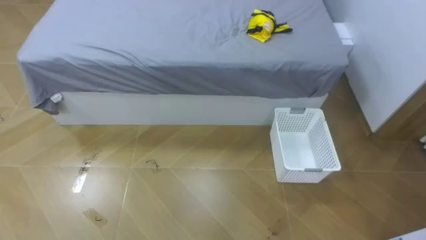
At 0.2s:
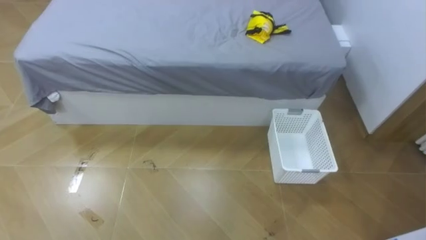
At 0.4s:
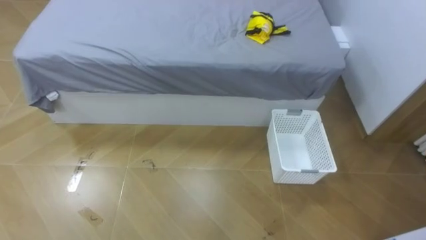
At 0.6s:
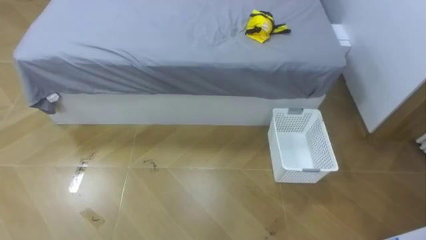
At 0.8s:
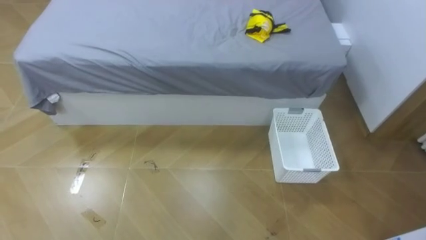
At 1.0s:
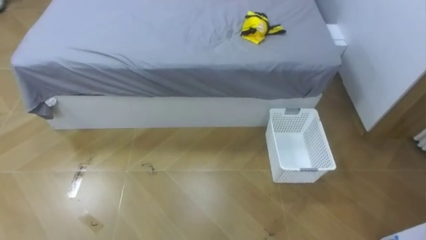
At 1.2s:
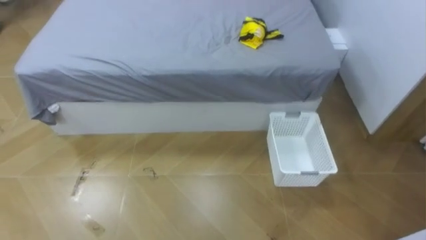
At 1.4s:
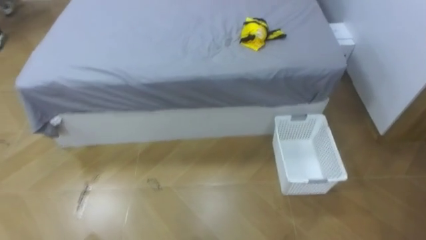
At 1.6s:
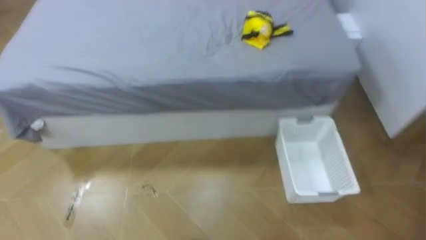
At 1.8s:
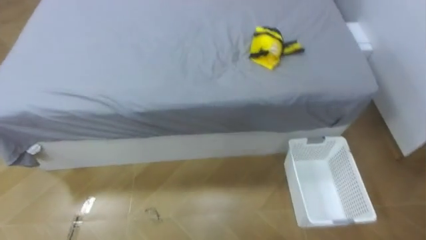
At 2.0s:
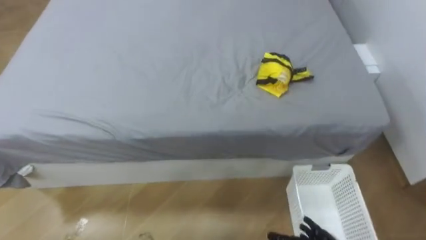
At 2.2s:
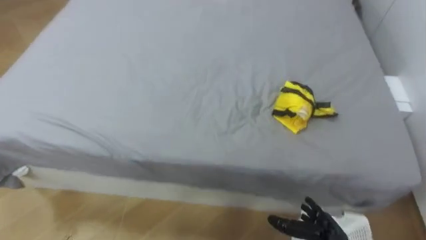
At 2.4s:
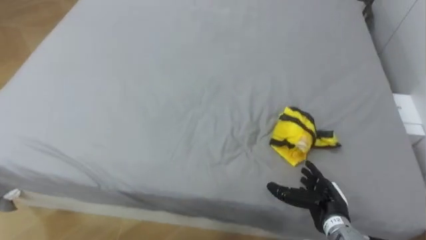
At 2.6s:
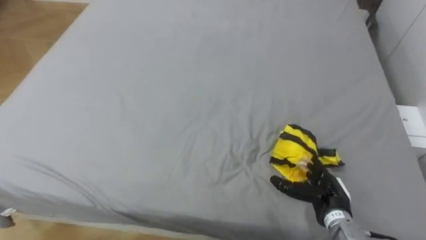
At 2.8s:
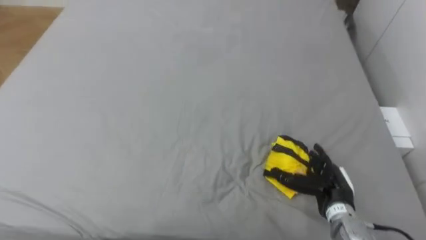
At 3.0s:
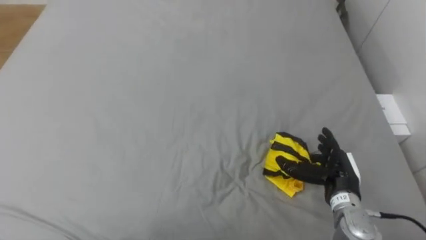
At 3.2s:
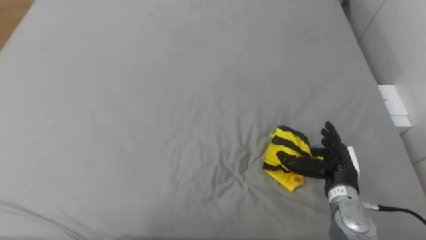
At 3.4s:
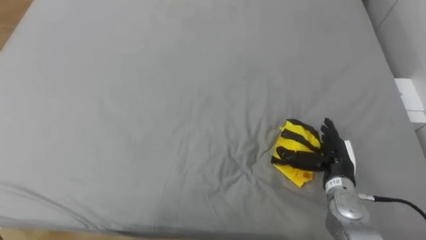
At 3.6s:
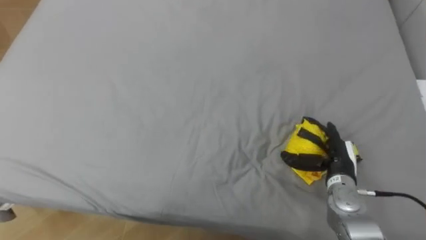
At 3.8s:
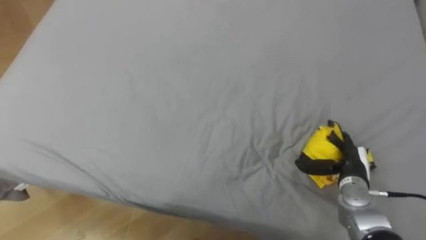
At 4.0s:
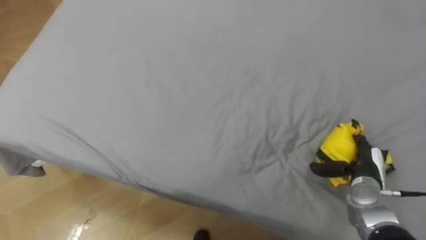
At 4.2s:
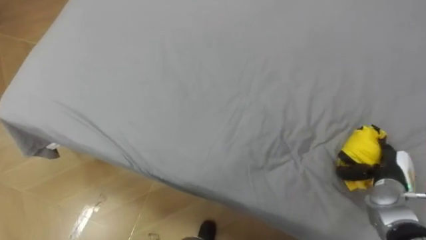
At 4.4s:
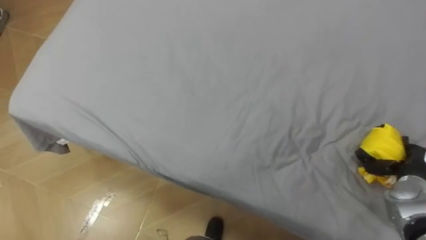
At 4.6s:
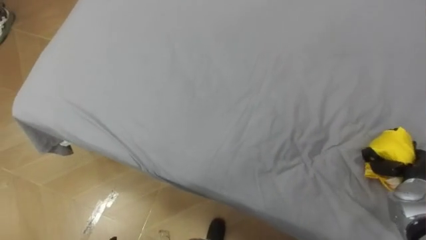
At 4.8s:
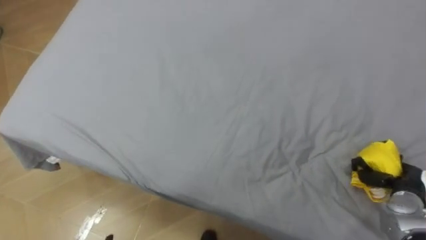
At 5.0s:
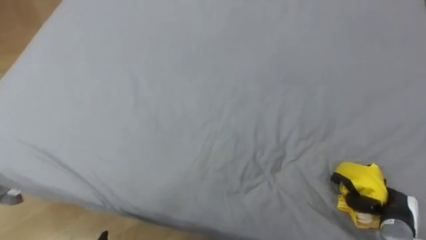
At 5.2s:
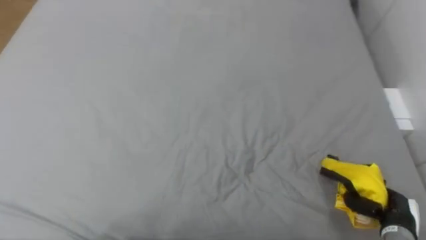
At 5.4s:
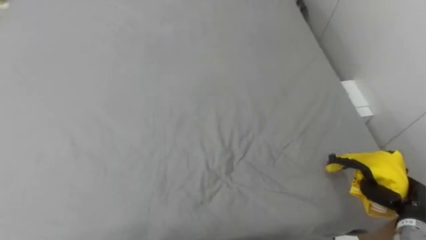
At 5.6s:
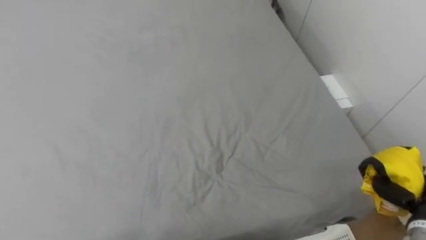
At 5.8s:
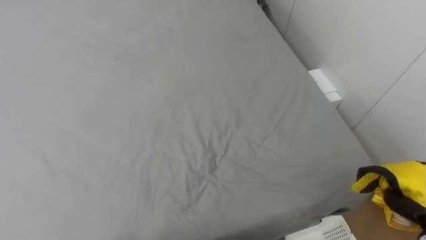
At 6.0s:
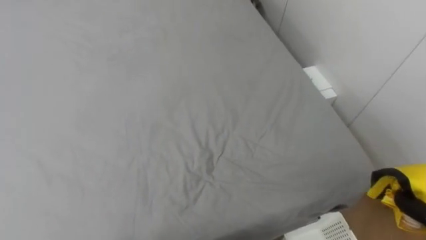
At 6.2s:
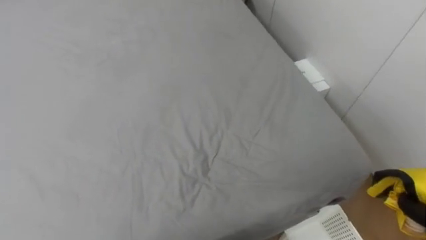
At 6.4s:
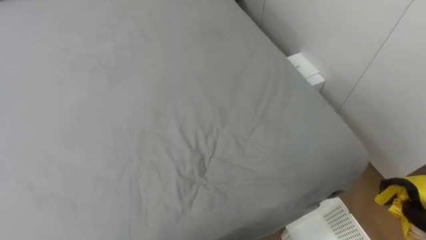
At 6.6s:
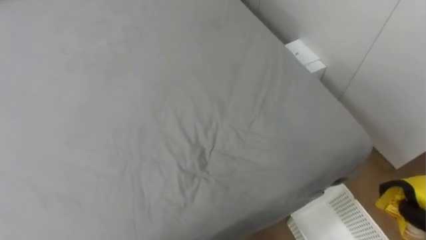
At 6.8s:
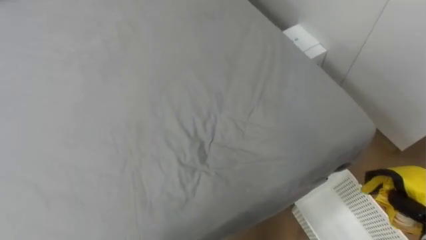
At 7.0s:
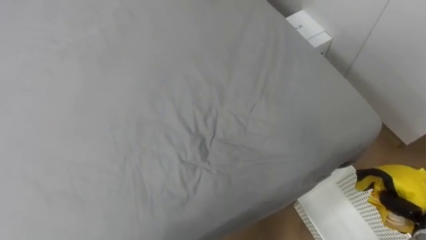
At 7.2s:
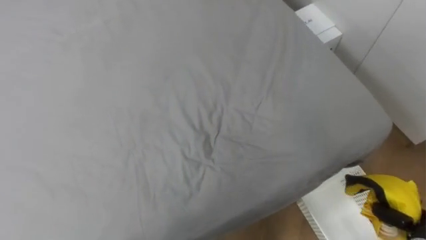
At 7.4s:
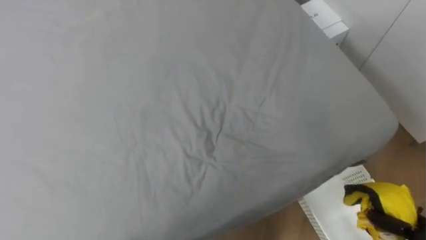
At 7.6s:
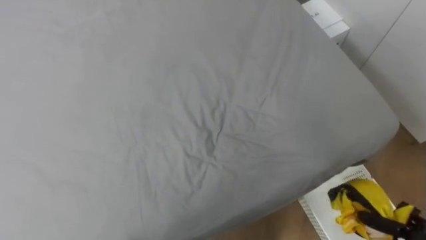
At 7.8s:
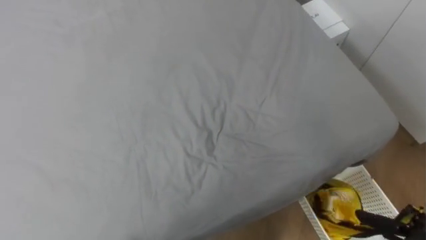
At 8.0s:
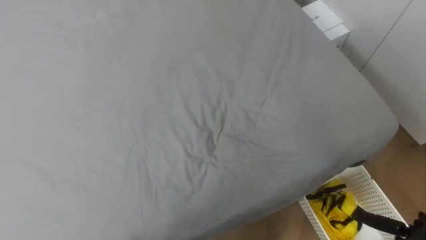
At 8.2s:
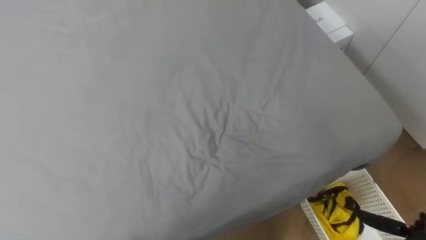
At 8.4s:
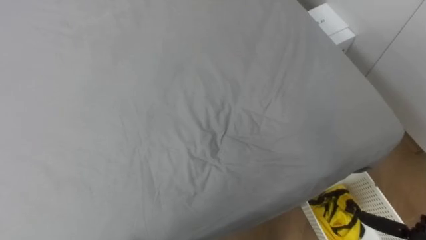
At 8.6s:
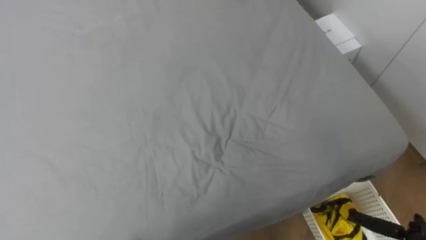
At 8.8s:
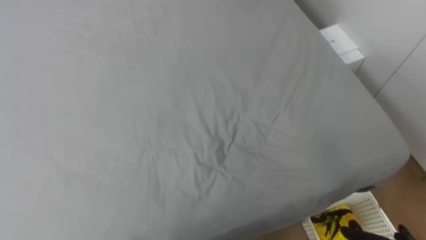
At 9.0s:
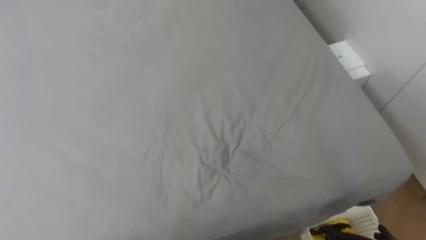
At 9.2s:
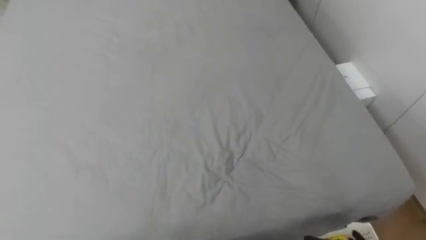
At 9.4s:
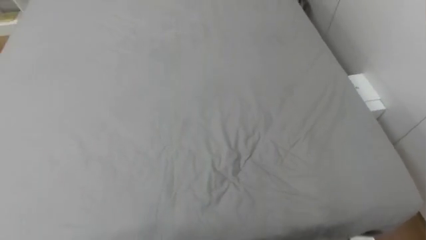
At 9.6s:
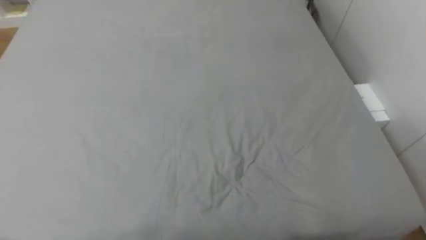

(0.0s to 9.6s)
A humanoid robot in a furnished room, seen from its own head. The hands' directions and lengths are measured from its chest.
Task of the whole recording: Pick up the yellow clothes on the bed and place them into the white basket on the right.
3.2s - 4.8s: The right hand moves to the right, roughly 15 cm, and closes its fingers.

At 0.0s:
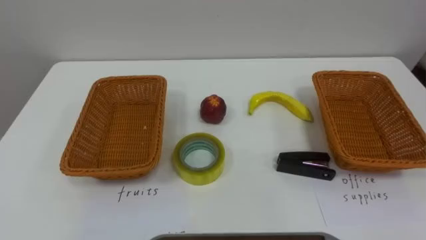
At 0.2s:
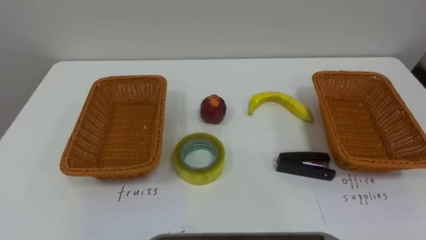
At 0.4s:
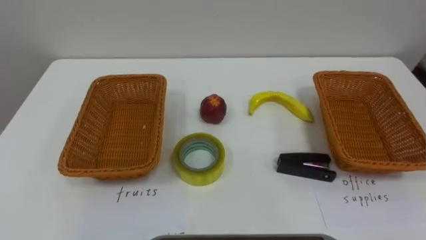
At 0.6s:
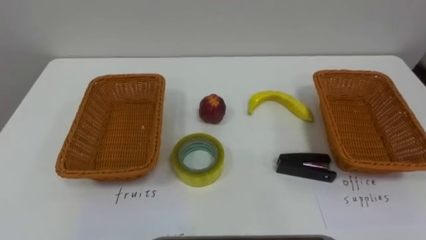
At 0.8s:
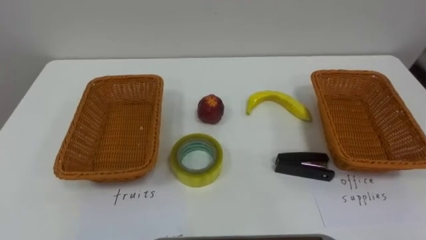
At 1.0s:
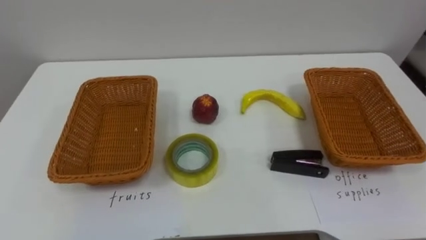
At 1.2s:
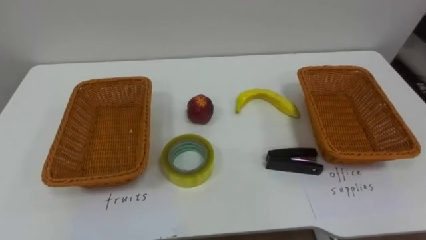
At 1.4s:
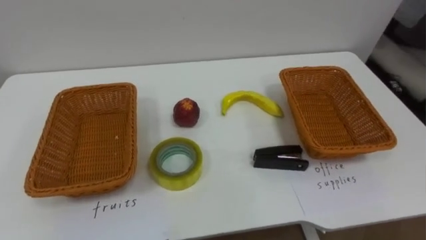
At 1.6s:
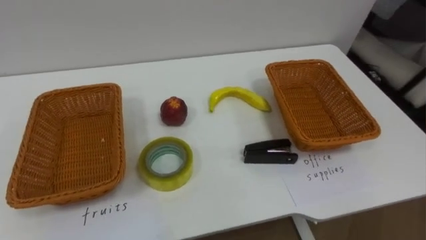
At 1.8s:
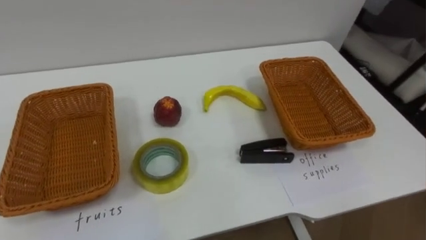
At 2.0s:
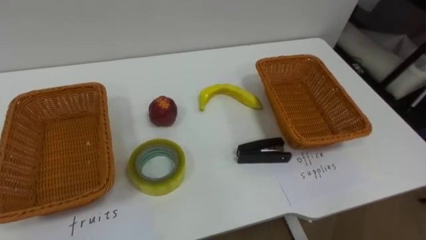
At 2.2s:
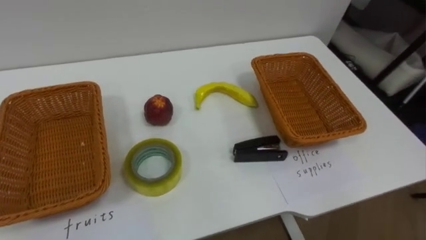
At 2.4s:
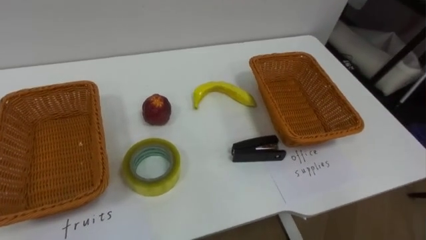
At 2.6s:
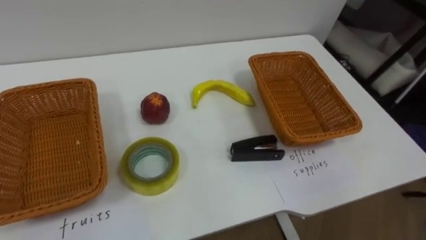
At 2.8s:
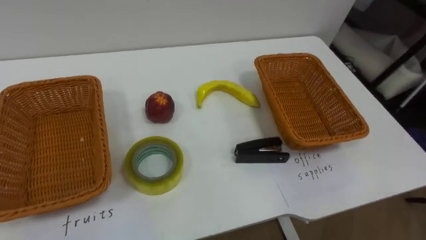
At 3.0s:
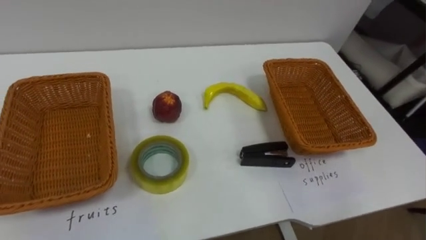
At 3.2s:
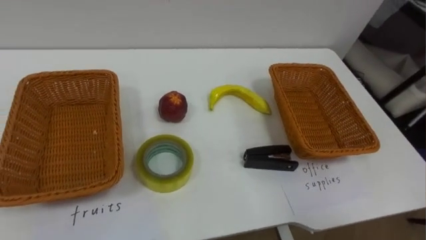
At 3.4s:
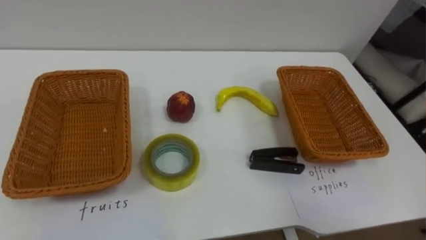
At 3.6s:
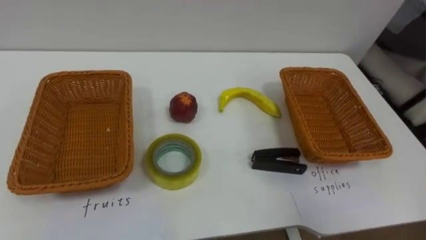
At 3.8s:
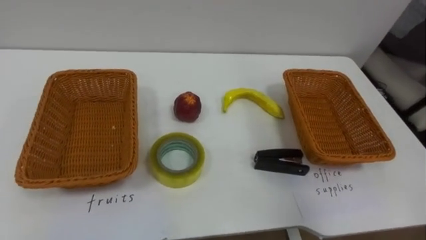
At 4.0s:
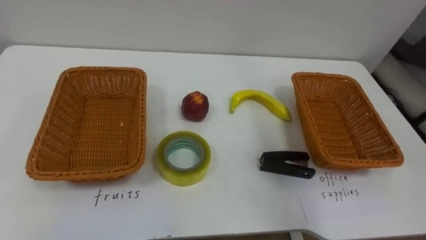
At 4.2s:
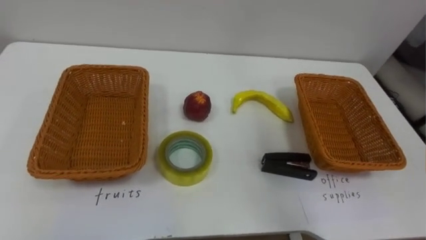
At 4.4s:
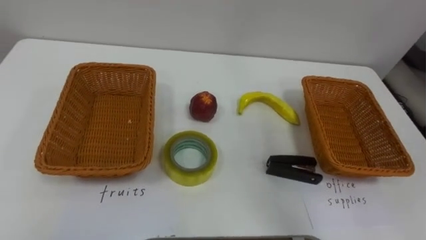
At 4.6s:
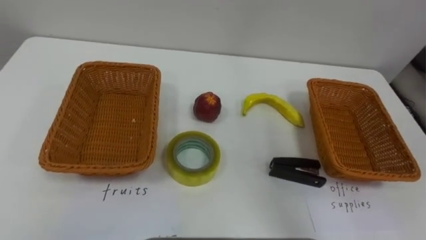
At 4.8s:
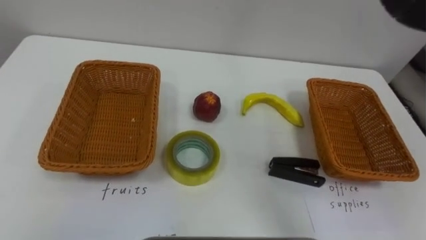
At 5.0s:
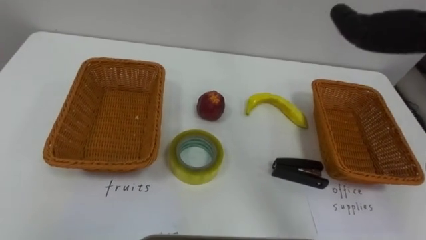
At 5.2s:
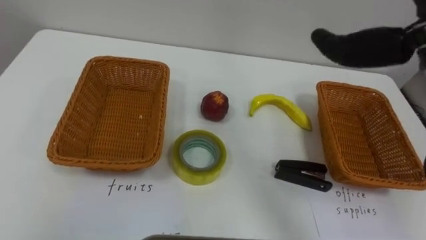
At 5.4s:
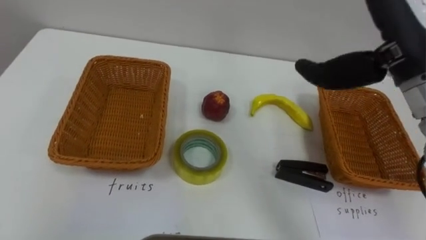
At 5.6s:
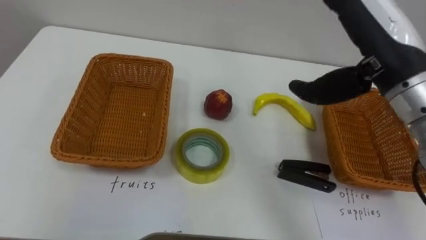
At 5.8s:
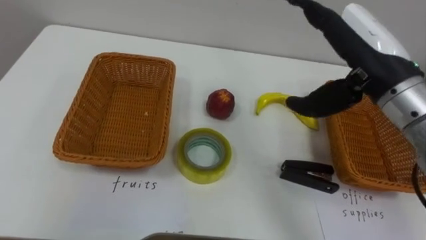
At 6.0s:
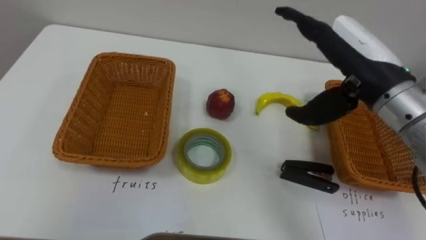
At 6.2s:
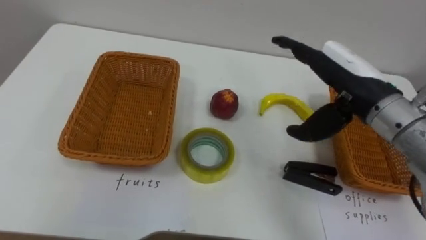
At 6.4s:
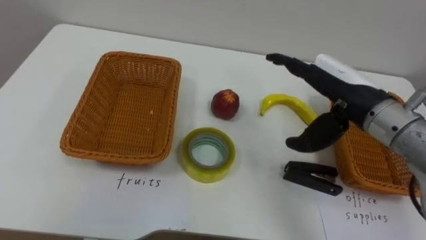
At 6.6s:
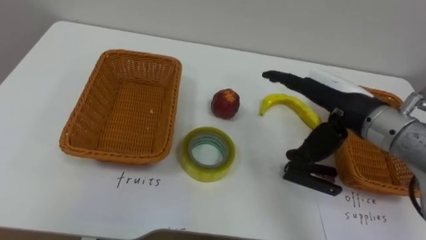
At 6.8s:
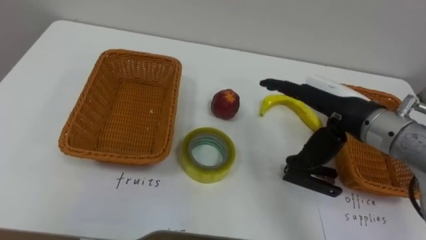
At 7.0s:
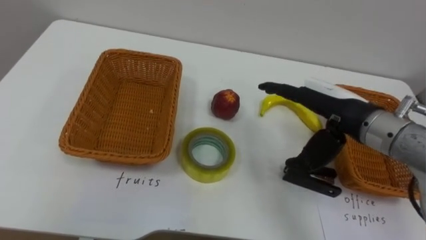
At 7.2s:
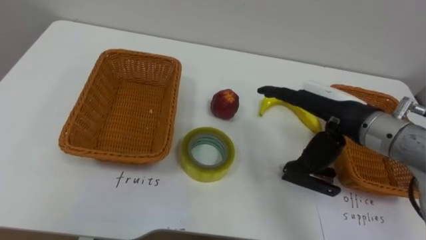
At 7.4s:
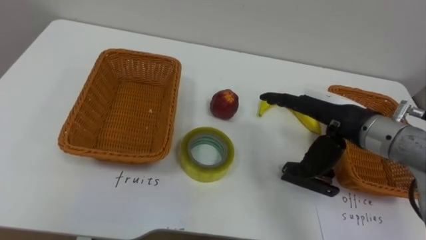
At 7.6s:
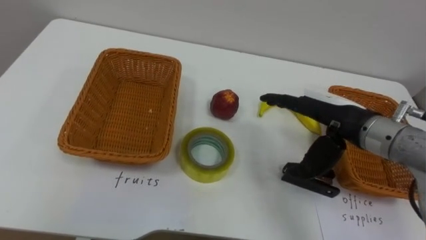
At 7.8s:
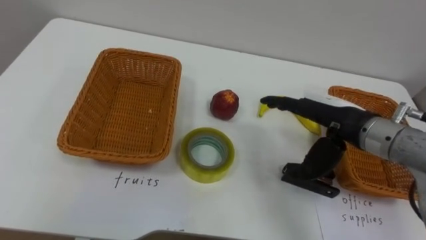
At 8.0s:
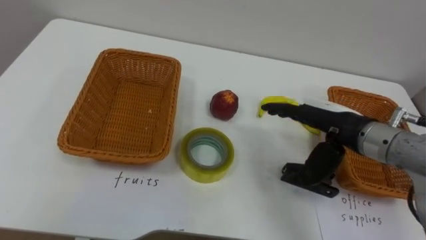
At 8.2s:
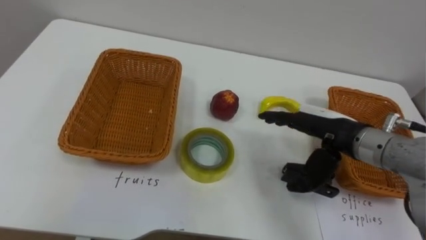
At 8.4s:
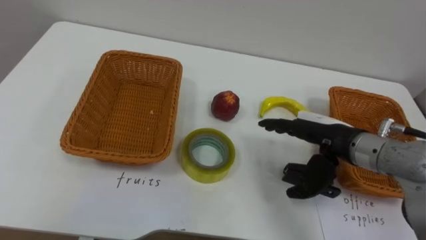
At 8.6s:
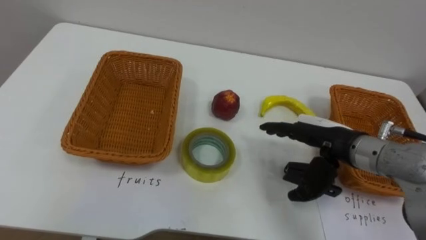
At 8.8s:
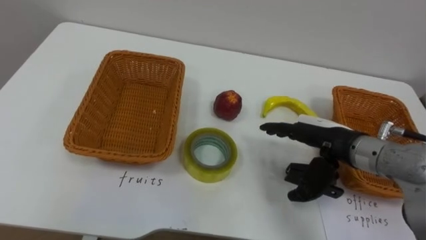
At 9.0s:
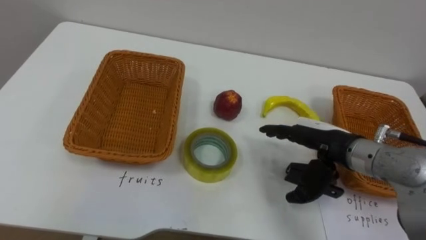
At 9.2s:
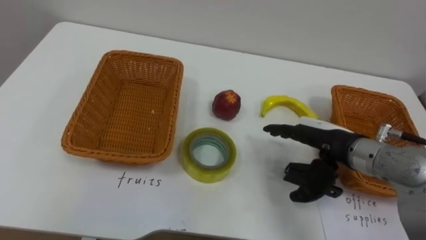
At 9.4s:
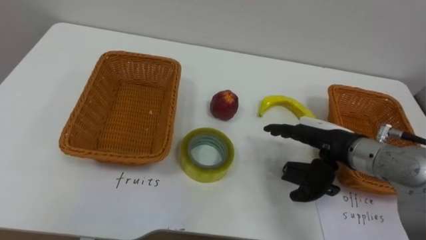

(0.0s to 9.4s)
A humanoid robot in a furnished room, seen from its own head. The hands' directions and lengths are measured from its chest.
Task of the whole recording: Separate the items on the table and place them into the two baskets.
6.2s - 7.8s: The right hand goes approximately 5 cm downward.
7.8s - 9.4s: The right hand ends up some 5 cm from where it was.
